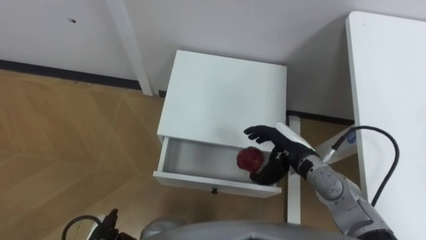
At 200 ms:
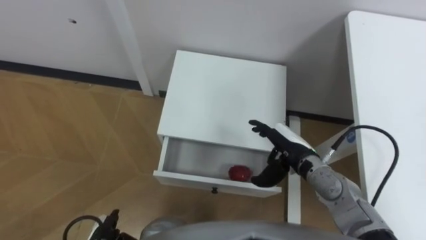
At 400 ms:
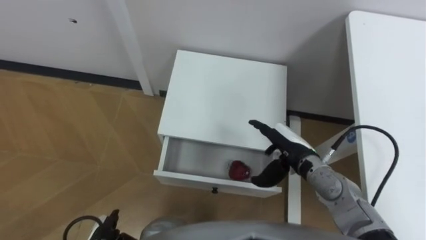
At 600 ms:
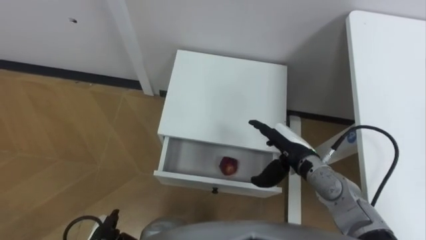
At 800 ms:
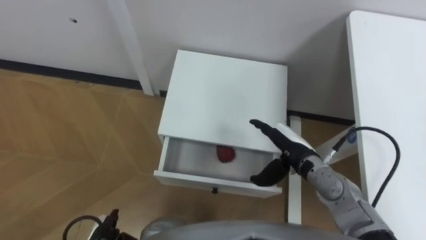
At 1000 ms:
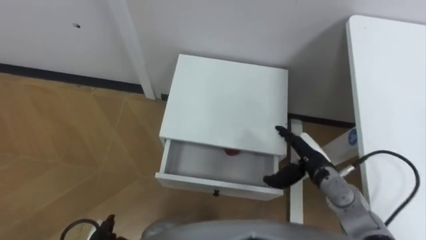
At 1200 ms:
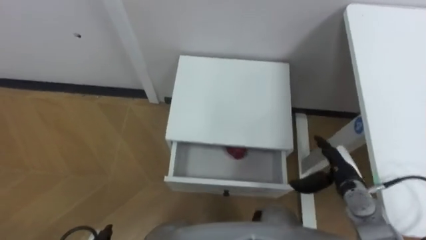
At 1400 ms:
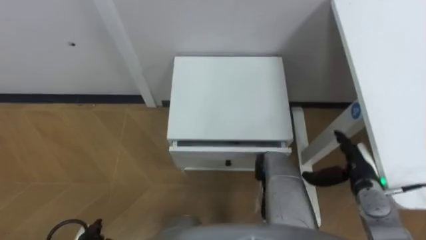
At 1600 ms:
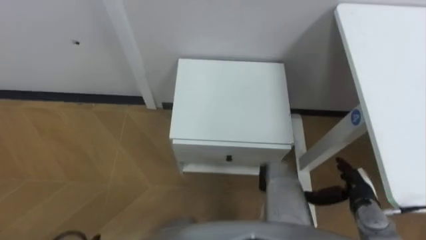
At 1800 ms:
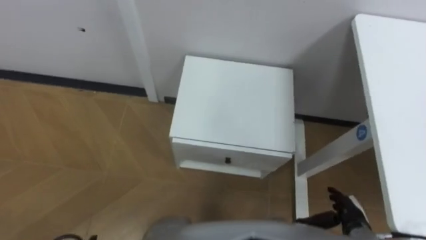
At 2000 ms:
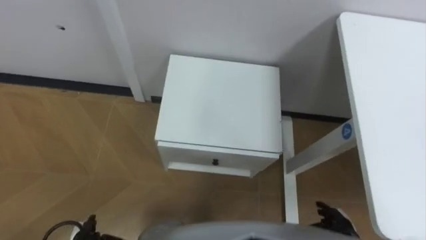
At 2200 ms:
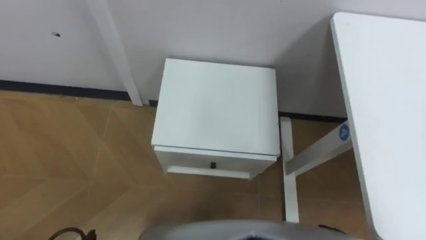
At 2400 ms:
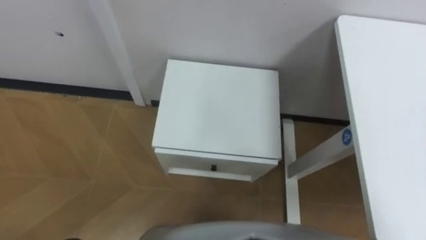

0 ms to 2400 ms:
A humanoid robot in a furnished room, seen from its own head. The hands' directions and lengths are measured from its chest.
Task of the whole recording: Pick up the apple from the table, put it in the drawer, and close the drawer with leg.
0 ms to 1200 ms: The right hand heads to the right, covering some 10 cm.

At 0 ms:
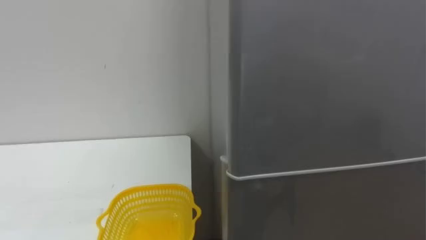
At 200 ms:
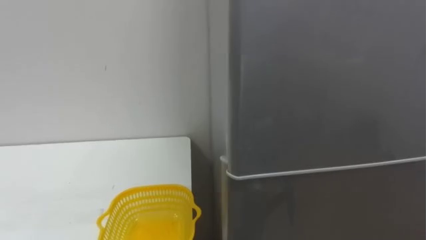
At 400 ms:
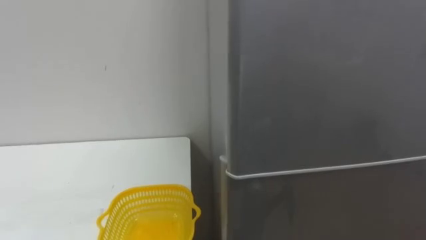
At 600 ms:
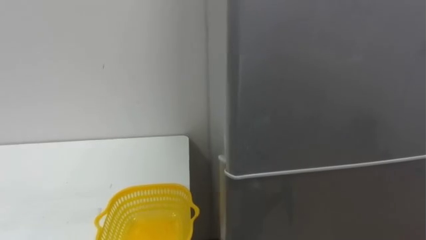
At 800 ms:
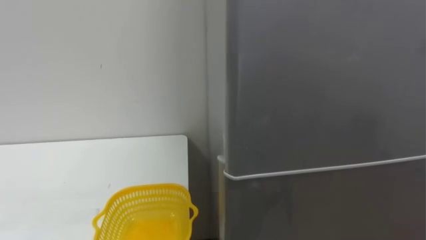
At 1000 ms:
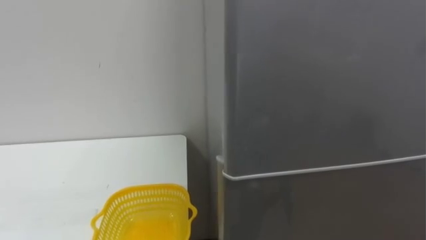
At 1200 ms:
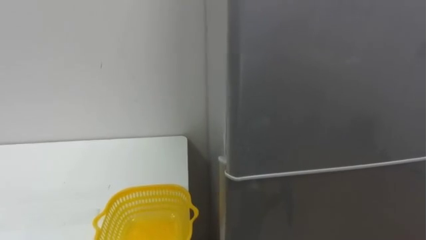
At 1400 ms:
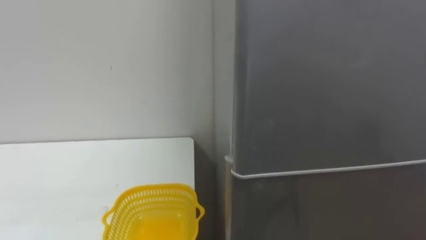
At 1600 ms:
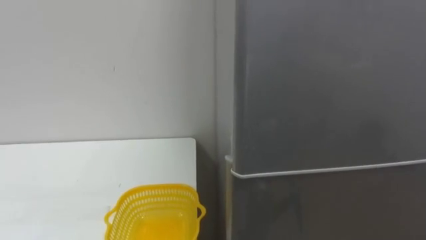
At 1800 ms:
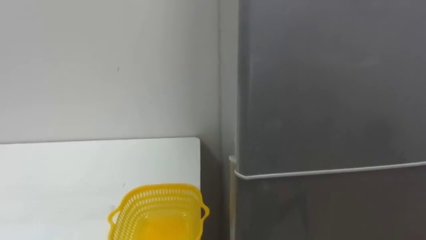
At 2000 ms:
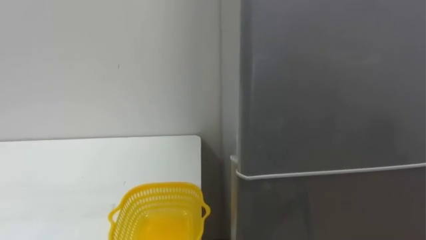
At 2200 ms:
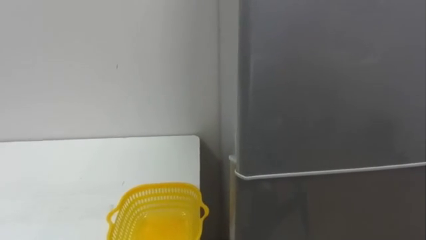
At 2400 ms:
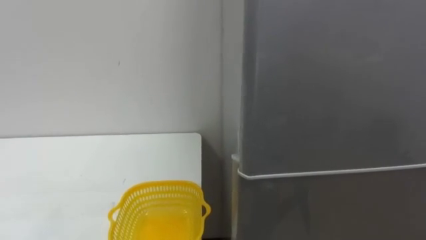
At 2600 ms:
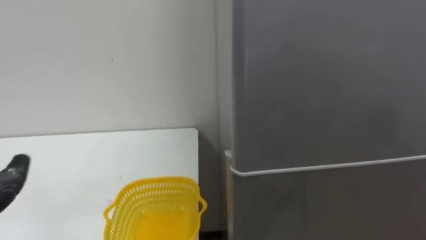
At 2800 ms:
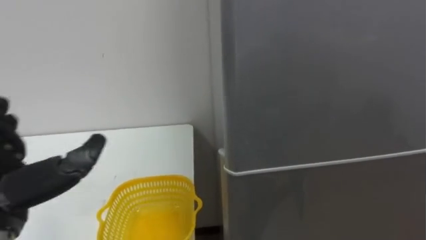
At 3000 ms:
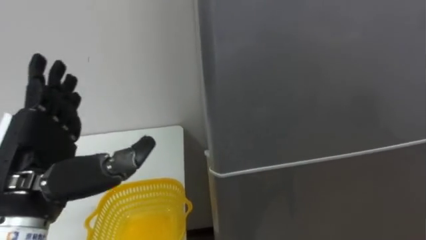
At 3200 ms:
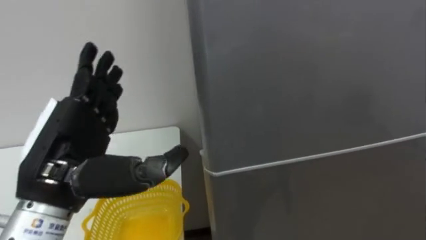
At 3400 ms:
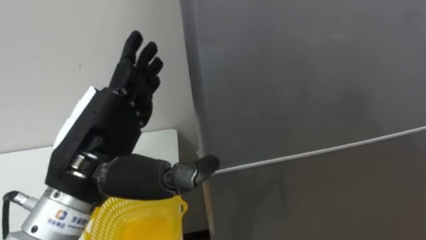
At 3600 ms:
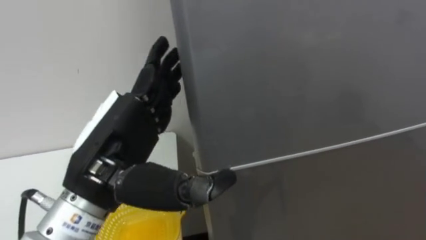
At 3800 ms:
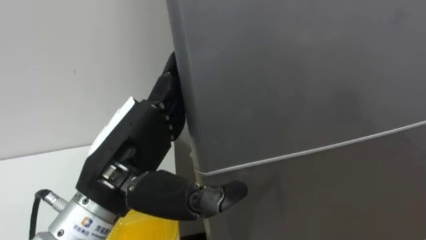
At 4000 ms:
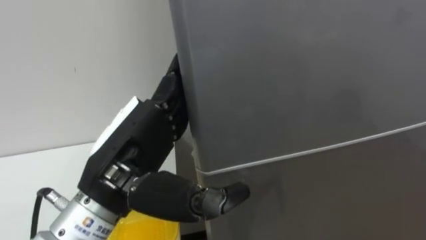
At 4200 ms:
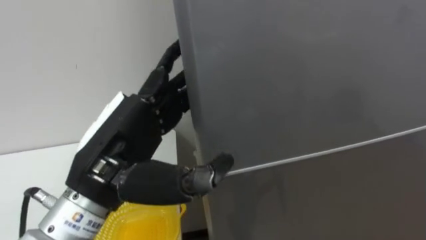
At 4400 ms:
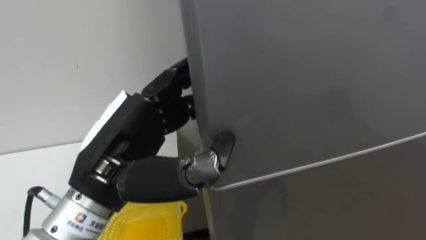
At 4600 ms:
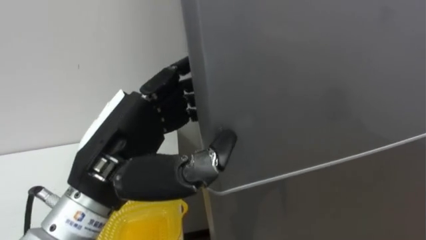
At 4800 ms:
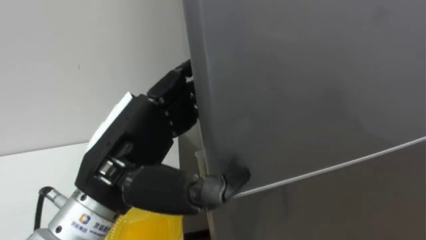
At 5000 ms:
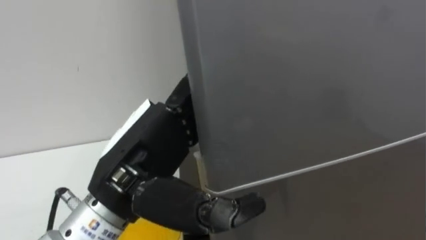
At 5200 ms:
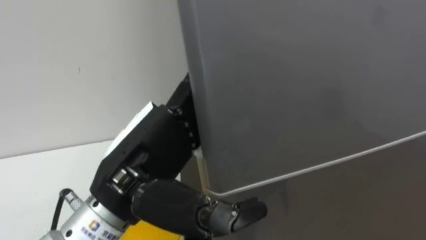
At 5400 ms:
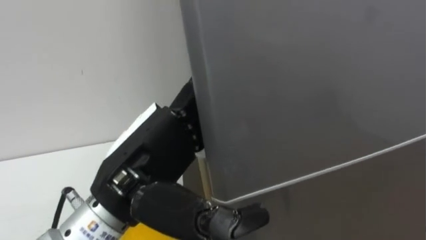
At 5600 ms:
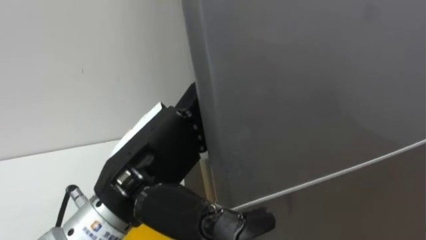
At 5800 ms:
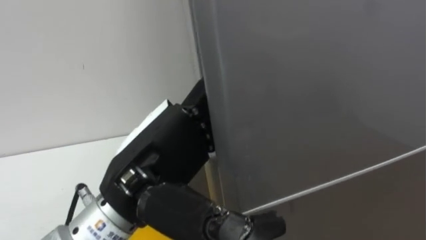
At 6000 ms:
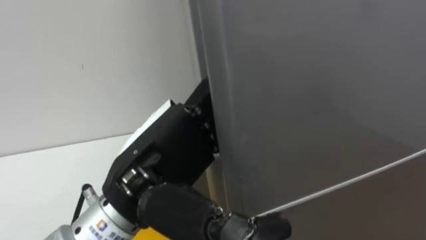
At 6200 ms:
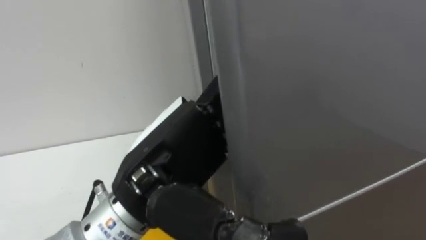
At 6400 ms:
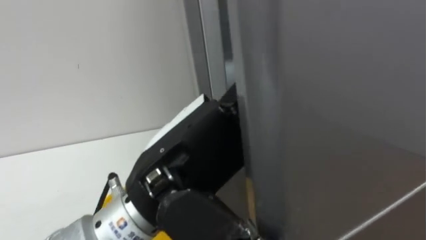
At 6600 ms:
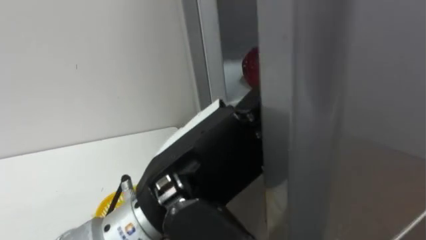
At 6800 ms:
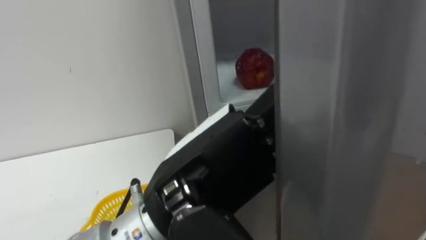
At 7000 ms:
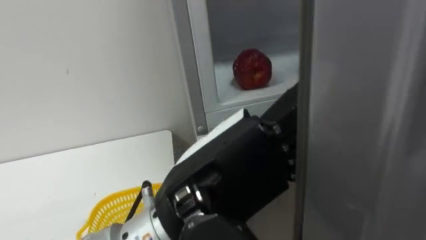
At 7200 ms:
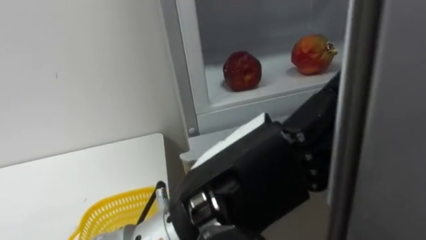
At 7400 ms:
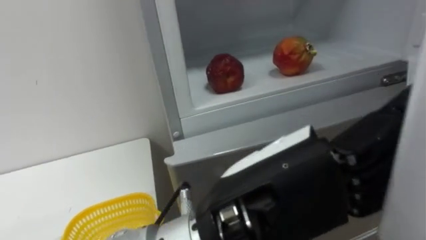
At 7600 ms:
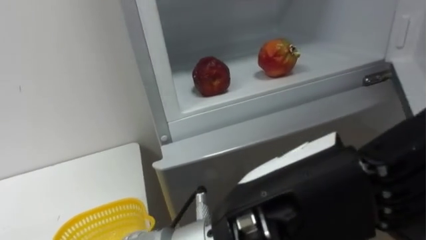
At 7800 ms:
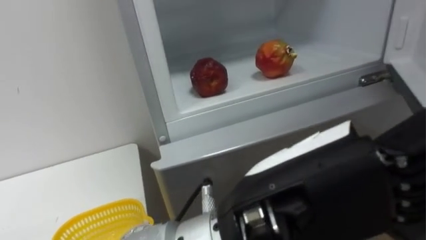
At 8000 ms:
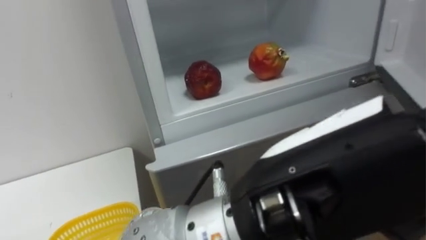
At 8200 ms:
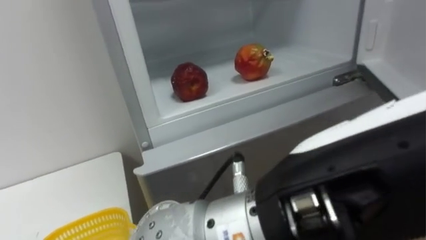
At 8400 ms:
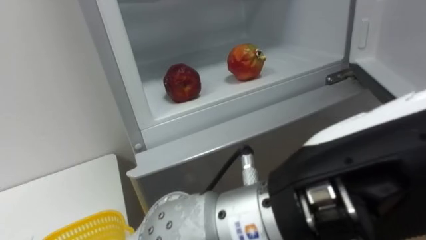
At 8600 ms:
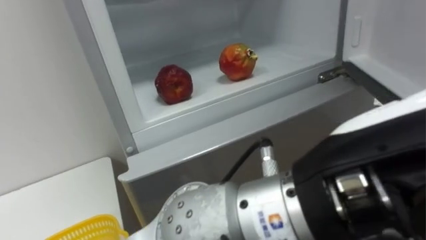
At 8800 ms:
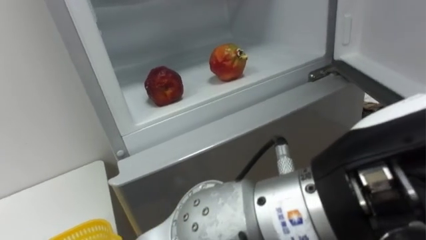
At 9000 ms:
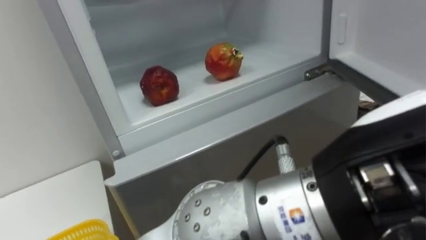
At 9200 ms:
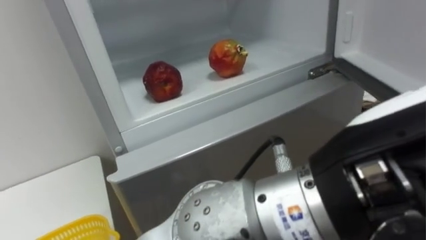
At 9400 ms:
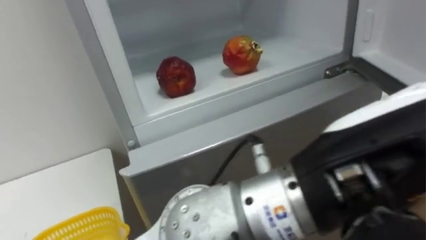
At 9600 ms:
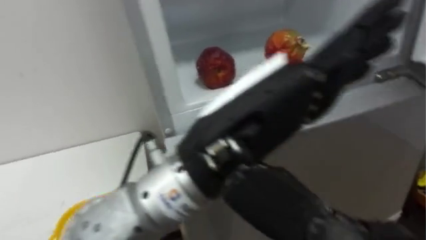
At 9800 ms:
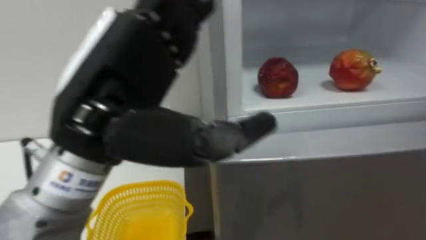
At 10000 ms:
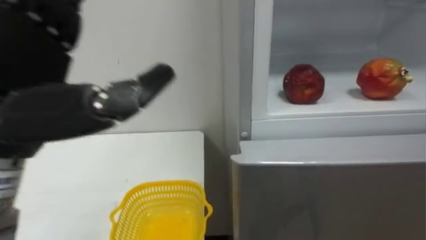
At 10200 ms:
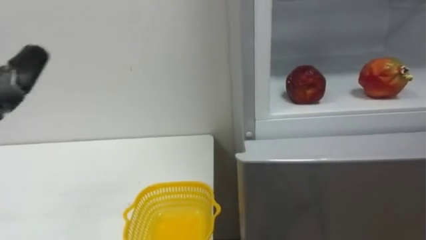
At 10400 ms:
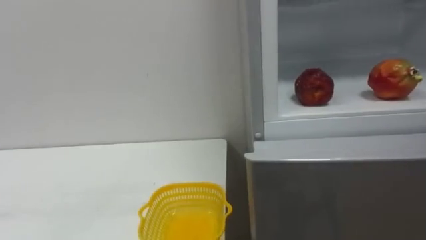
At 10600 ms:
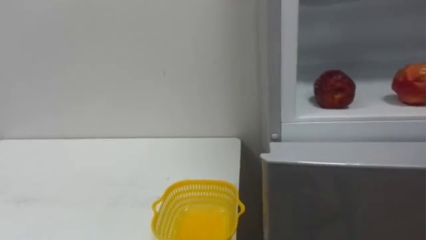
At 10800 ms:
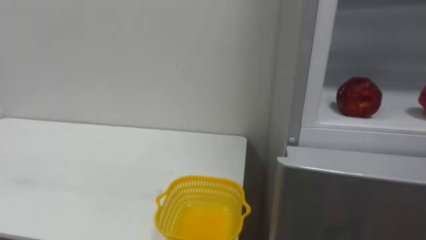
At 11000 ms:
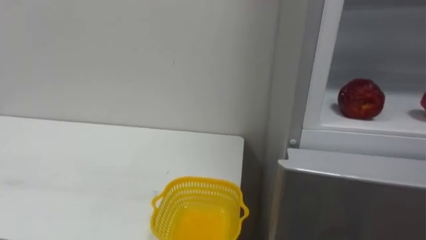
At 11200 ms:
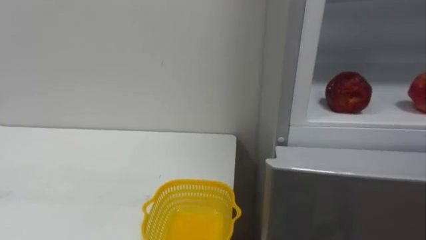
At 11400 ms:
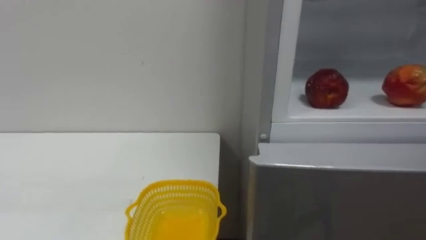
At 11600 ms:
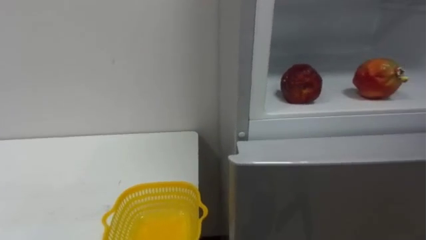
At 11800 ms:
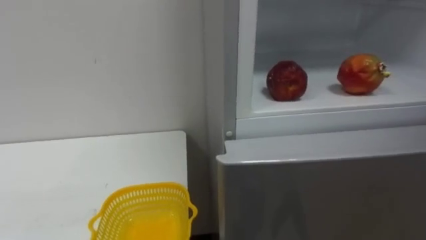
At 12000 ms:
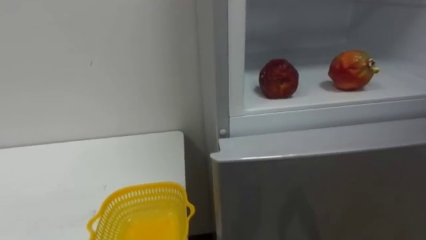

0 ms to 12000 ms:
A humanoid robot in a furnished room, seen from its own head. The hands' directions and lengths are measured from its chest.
Task of the whole recording: Open the refrigerator door, take out the apple and the pomegranate, place them in the fruit basket on the left, and close the refrigerator door.
3000 ms to 4400 ms: The left hand moves to the right, roughly 10 cm, and closes.
4400 ms to 6000 ms: The left hand opens its fingers.
6000 ms to 7600 ms: The left hand goes roughly 15 cm to the right and backward.
7600 ms to 9000 ms: The left hand heads upward and to the right, covering approximately 10 cm.

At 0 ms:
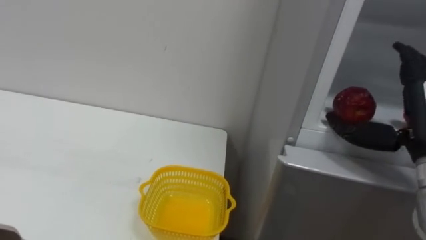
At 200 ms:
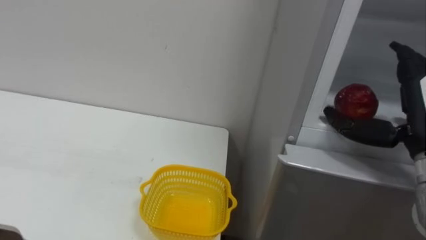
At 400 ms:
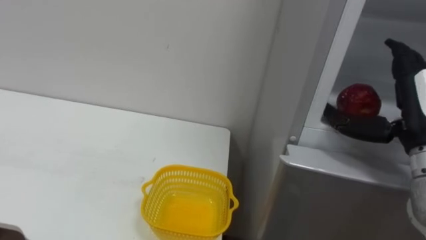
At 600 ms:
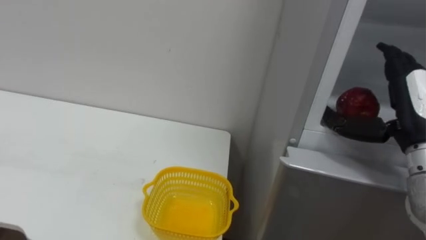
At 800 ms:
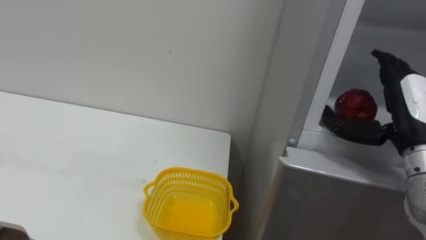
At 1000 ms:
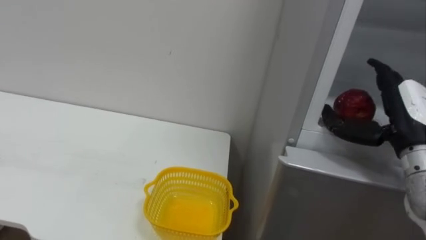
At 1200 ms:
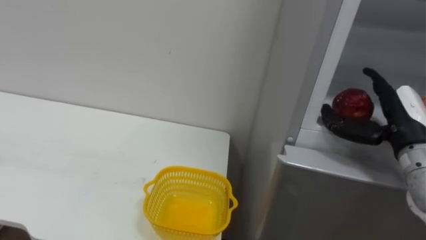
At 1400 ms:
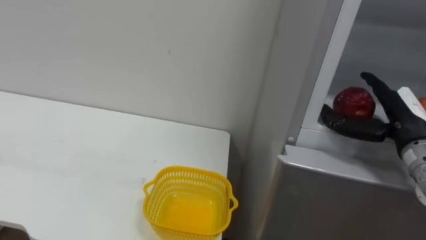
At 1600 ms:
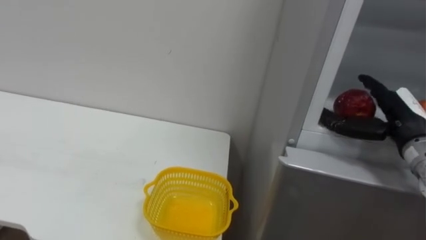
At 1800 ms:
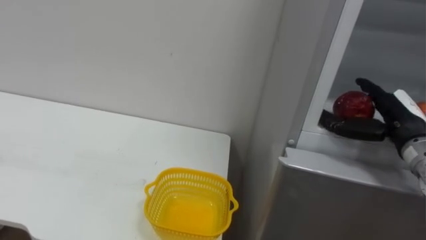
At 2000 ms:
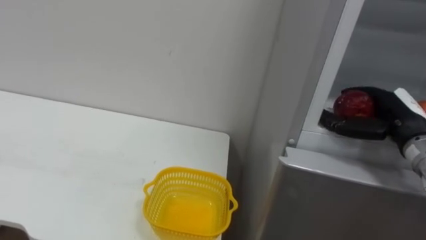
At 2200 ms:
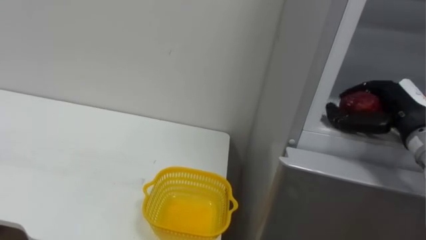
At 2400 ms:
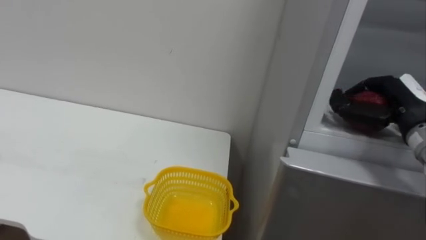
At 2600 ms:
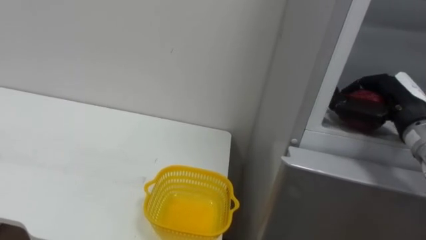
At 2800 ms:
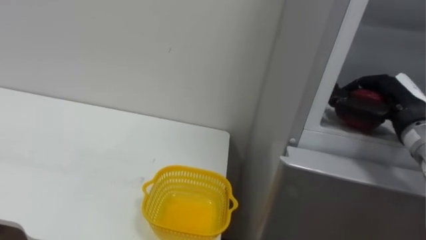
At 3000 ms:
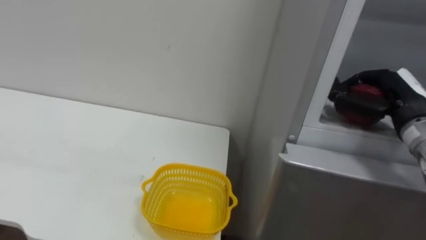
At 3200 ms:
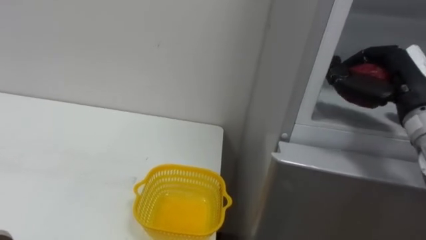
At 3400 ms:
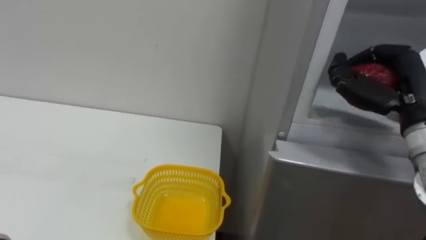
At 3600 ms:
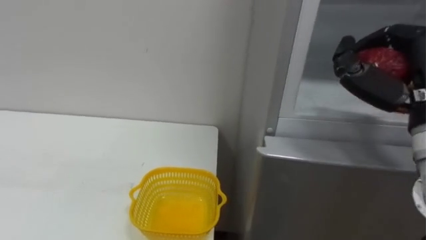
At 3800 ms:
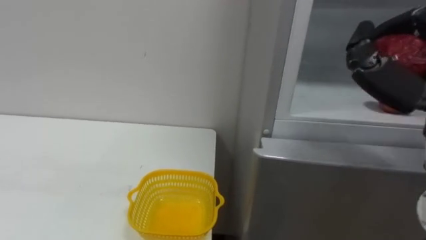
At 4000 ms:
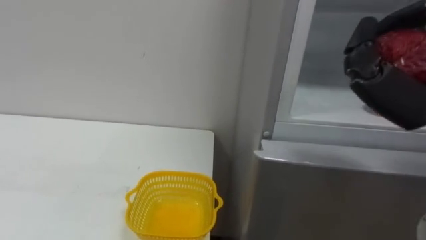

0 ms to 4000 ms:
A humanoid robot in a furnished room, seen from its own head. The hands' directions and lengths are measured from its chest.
Task of the whole recording: Open the refrigerator door, take out the apple and the pomegranate, place them in the fruit basket on the left, and close the refrigerator door.
0 ms to 1400 ms: The right hand changes place by about 5 cm.
1400 ms to 2600 ms: The right hand closes its fingers.
